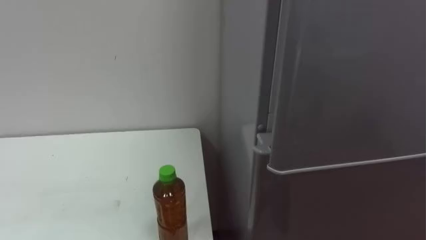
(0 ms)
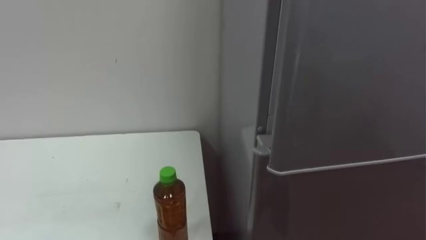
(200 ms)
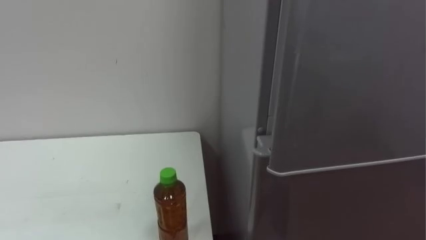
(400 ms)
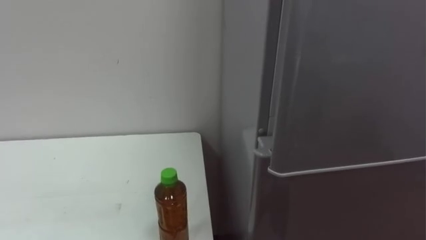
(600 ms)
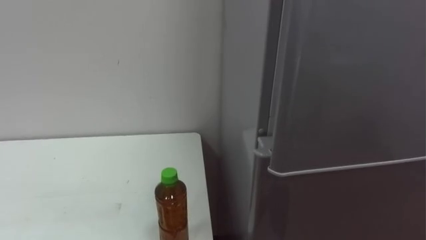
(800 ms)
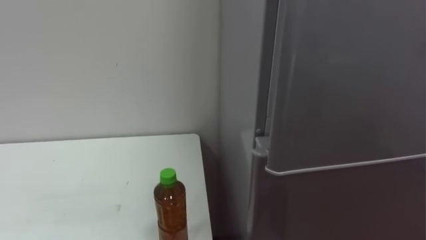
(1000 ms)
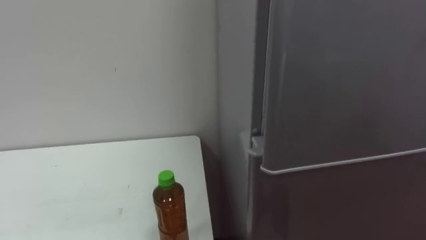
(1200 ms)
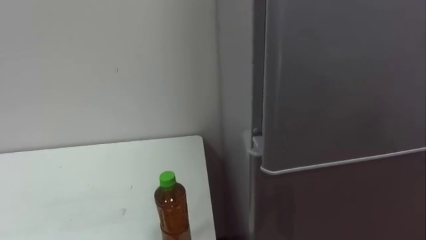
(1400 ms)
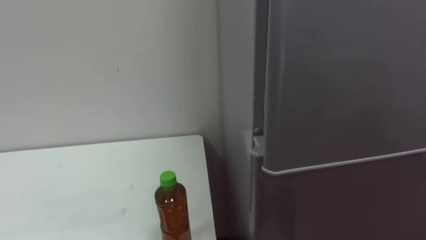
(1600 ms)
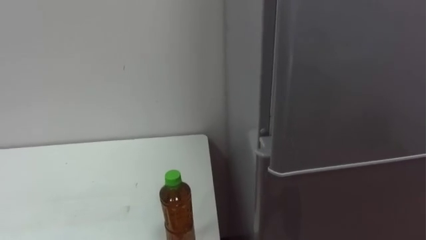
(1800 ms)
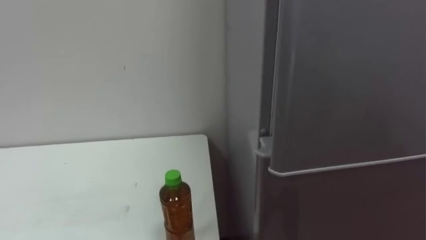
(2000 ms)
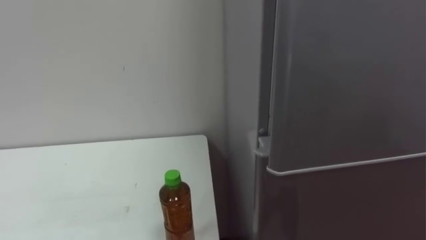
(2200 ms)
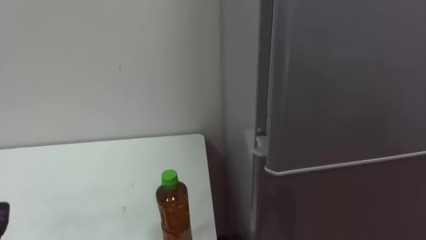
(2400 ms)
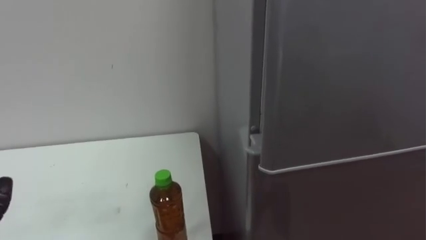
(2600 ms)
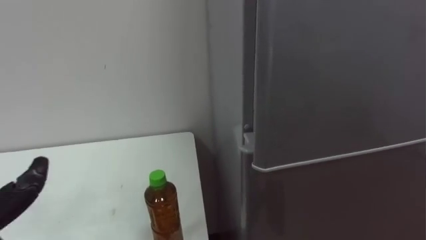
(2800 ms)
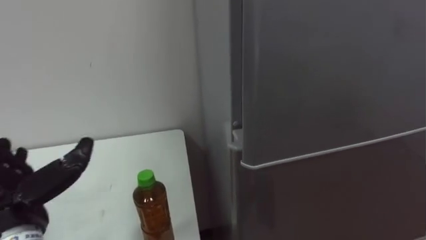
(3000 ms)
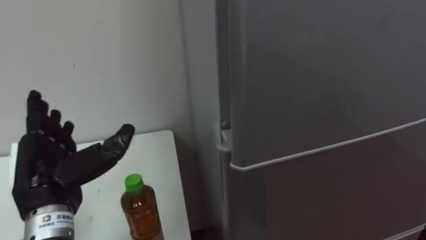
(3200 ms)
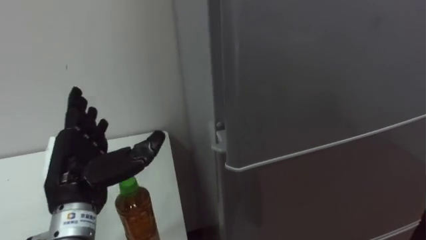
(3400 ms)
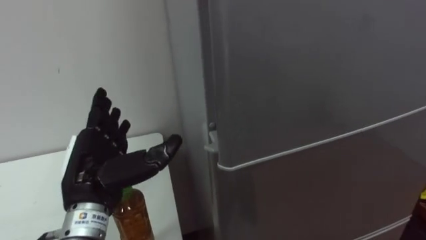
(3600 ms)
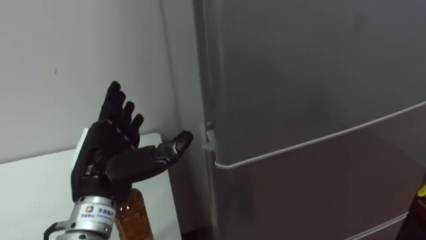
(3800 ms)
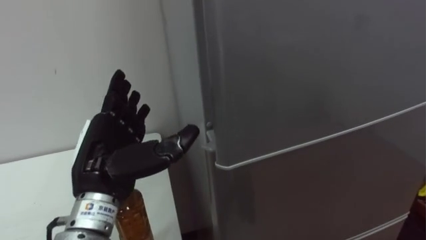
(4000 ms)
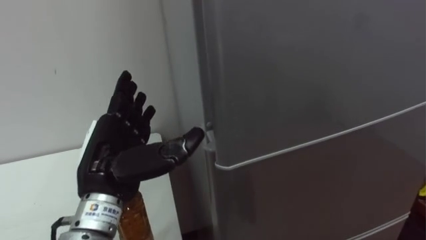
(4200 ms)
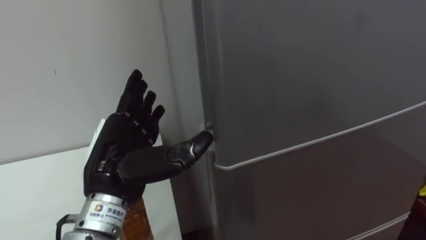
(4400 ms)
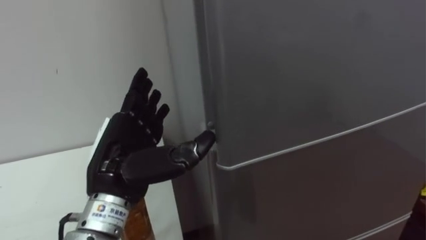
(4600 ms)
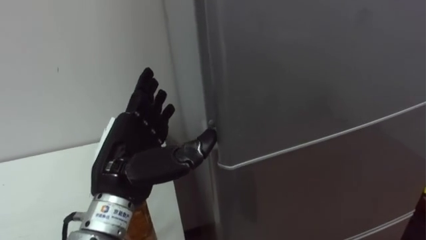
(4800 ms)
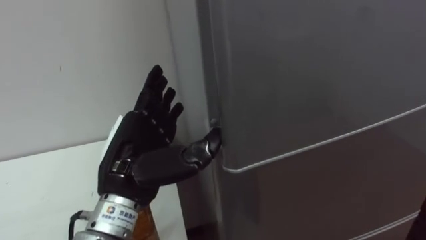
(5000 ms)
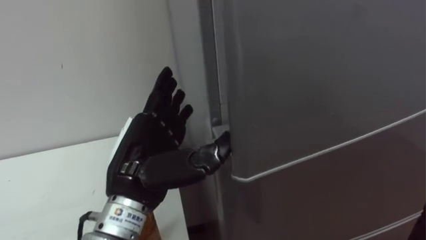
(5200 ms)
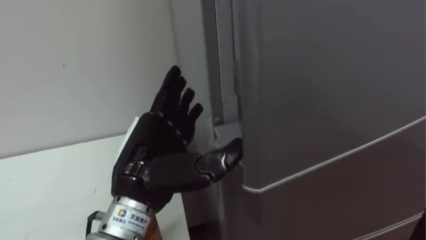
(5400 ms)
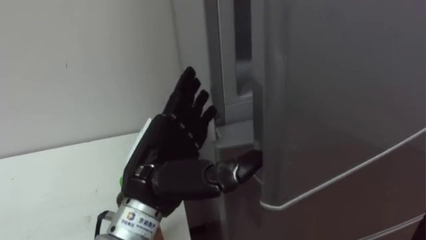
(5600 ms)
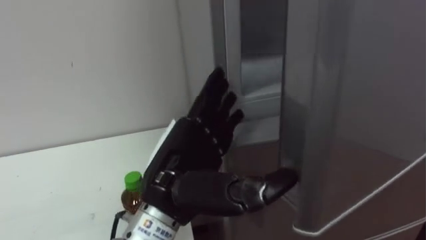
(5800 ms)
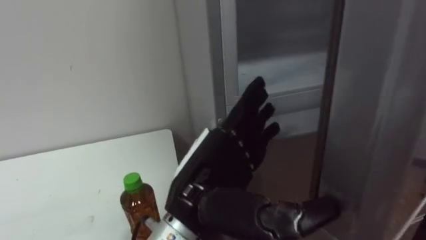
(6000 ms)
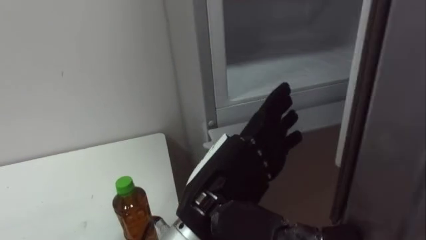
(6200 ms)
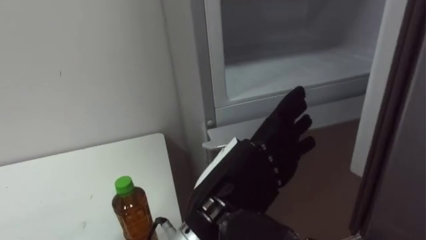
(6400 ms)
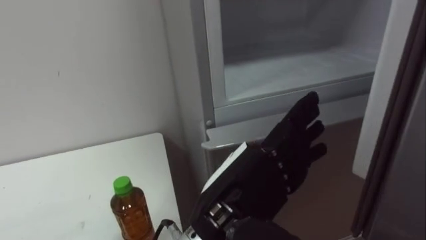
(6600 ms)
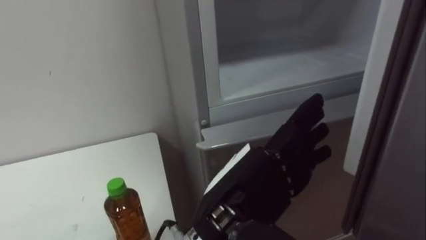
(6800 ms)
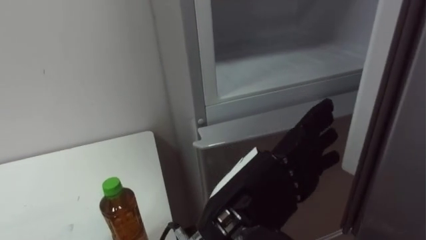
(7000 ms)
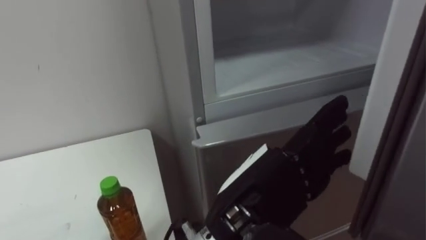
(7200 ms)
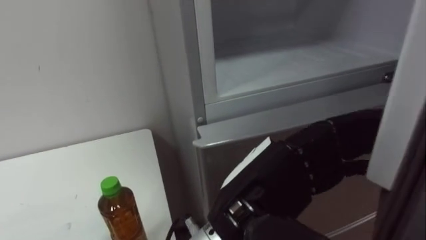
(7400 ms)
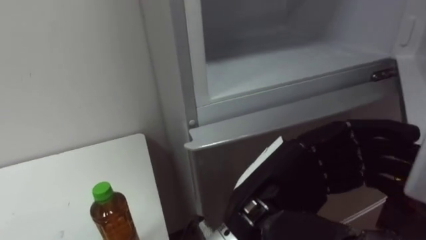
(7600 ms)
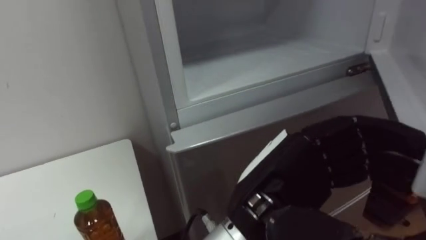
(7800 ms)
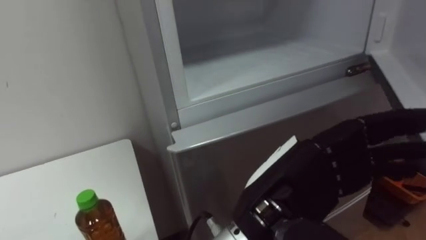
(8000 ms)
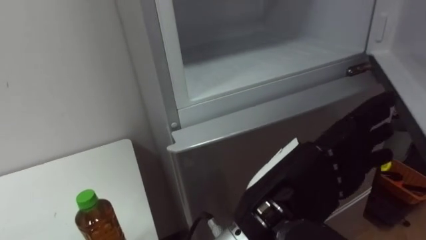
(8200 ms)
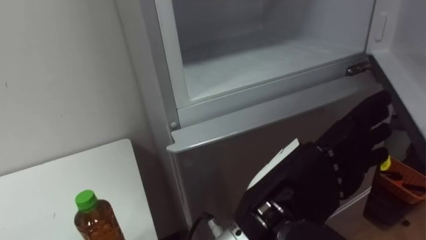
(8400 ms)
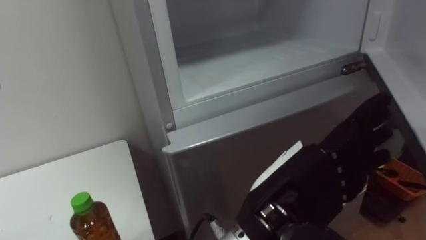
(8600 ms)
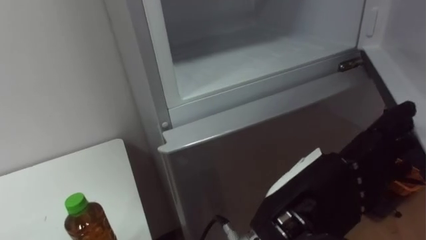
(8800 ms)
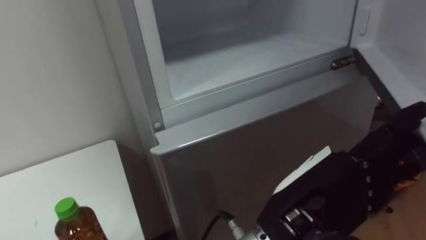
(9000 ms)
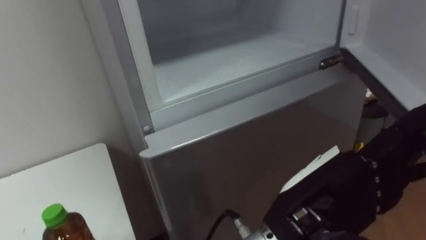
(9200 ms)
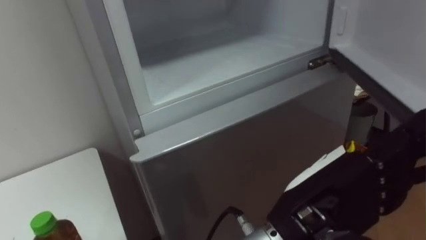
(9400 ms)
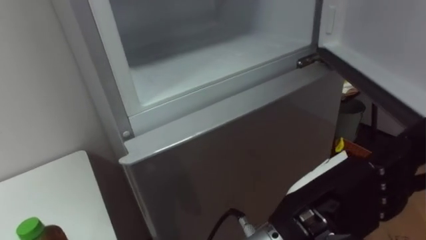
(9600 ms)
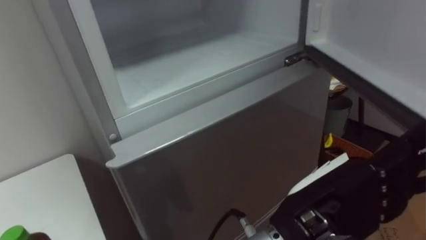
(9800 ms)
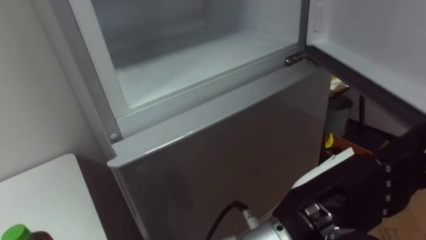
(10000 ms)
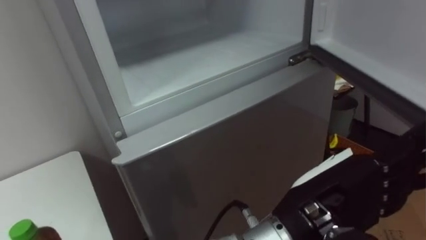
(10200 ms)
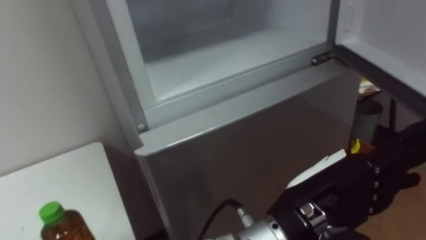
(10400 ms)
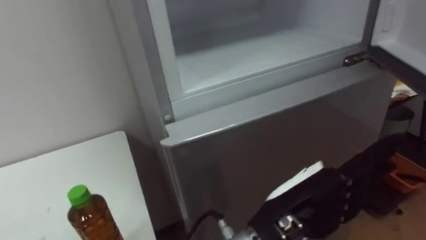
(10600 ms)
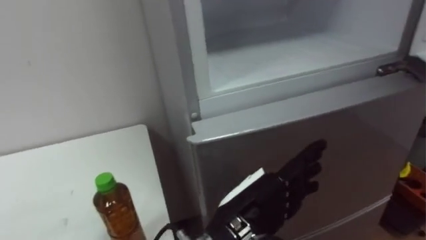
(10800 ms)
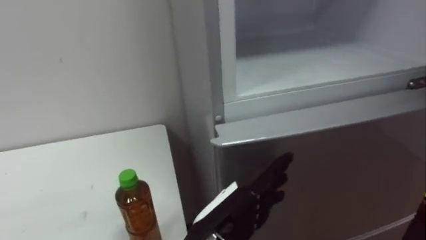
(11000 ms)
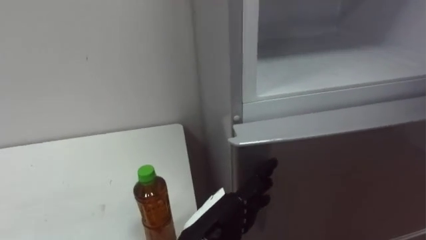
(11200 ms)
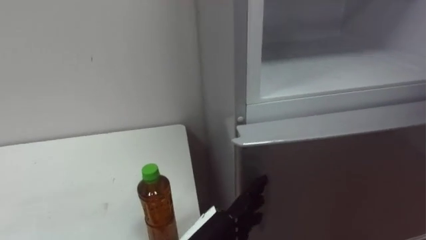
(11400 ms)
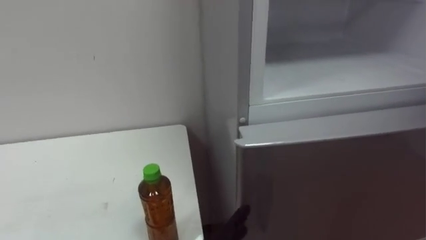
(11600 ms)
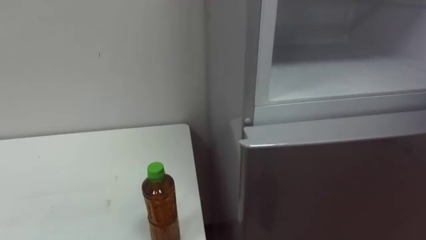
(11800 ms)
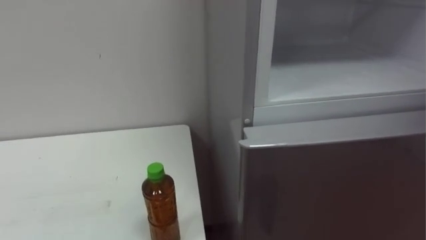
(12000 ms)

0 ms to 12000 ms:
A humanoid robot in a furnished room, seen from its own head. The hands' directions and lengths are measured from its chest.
Task of the whole recording: Open the upper refrigerator door, put the drink from the table into the refrigerator, and then close the refrigerator door.
3000 ms to 4400 ms: The left hand travels to the right by about 15 cm.
4400 ms to 6000 ms: The left hand goes approximately 10 cm to the right.
6000 ms to 7600 ms: The left hand travels to the right by approximately 5 cm, and closes.
7600 ms to 9000 ms: The left hand opens up.

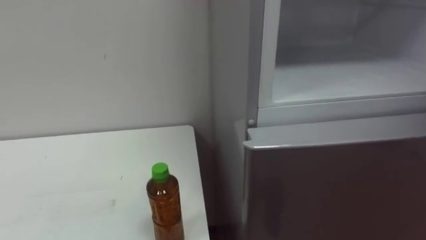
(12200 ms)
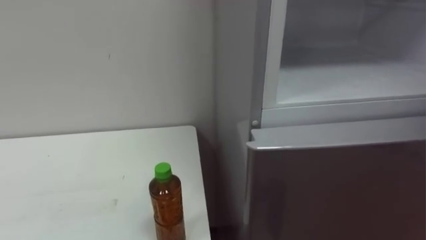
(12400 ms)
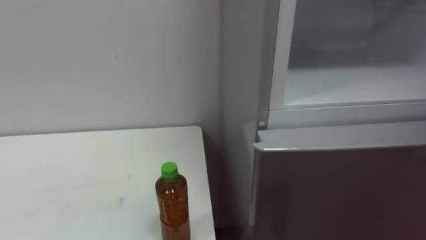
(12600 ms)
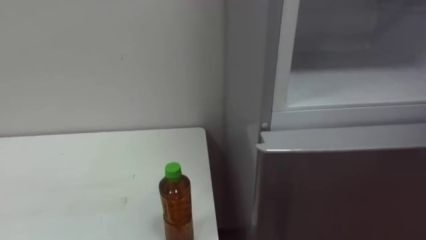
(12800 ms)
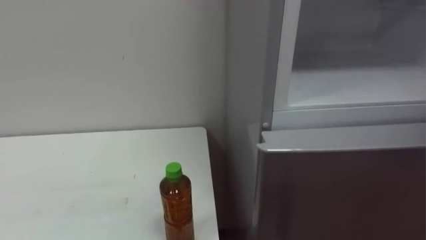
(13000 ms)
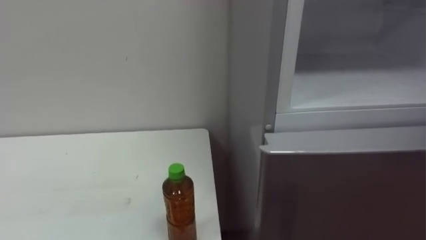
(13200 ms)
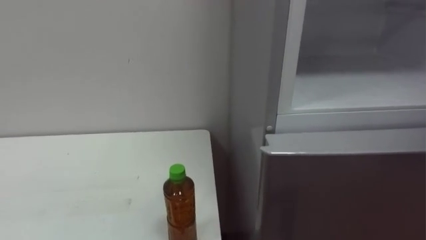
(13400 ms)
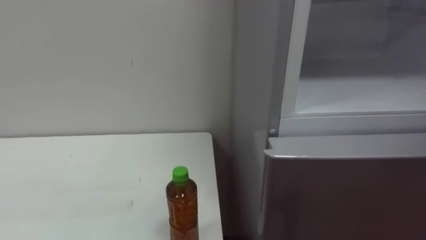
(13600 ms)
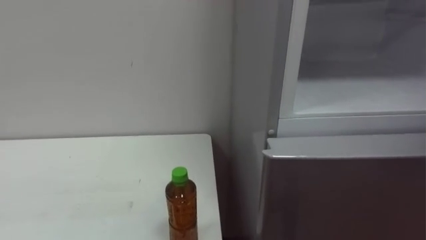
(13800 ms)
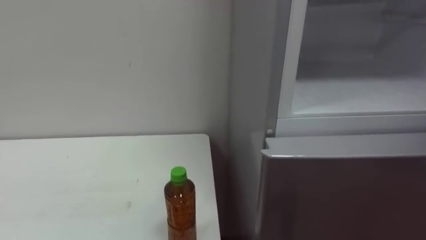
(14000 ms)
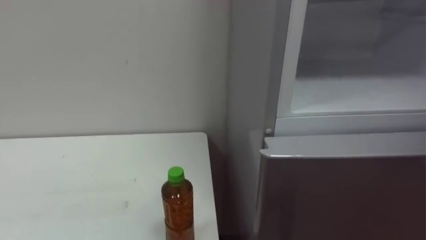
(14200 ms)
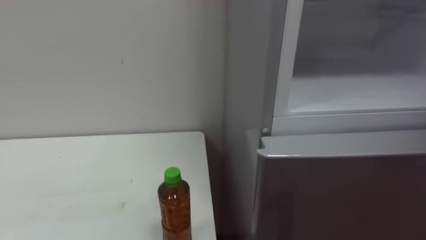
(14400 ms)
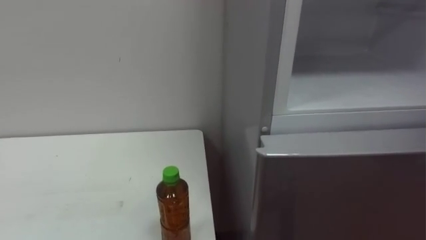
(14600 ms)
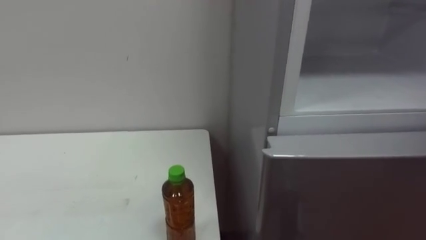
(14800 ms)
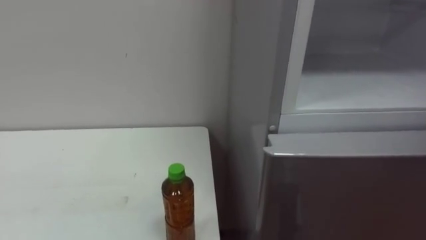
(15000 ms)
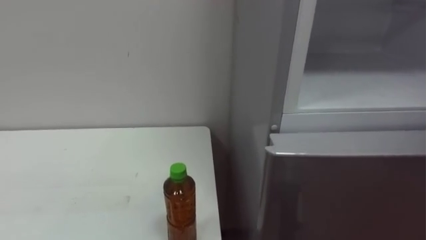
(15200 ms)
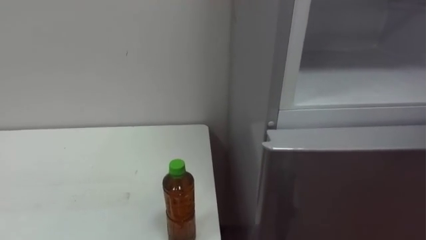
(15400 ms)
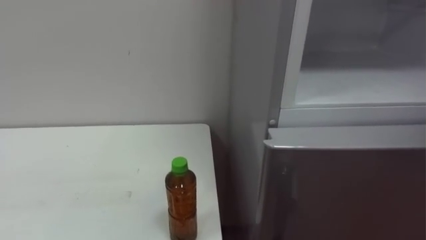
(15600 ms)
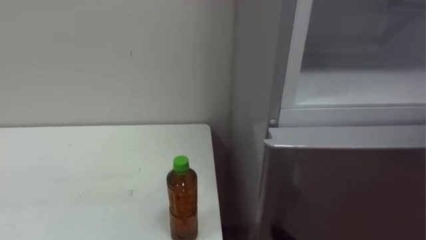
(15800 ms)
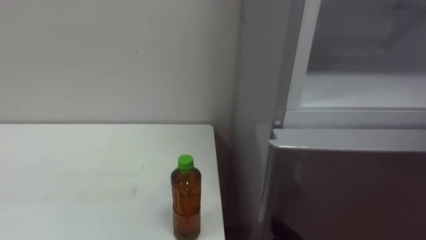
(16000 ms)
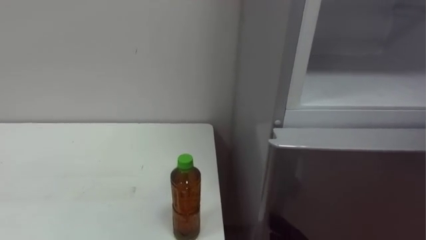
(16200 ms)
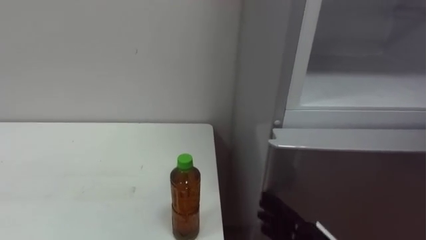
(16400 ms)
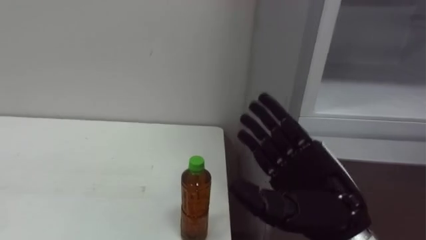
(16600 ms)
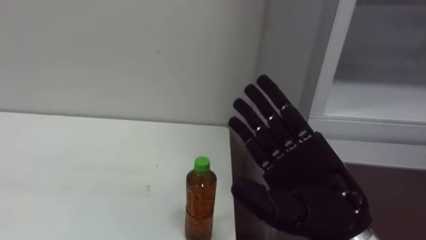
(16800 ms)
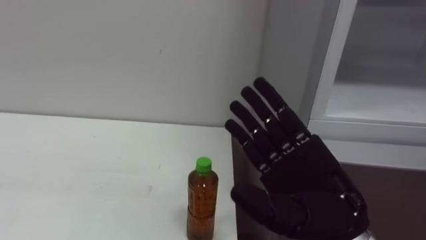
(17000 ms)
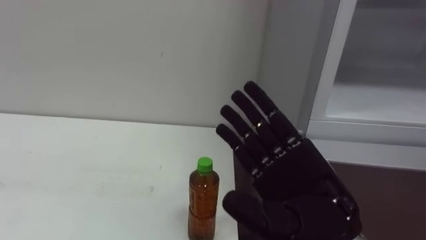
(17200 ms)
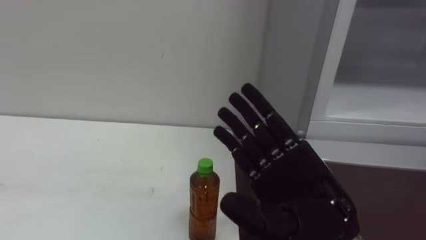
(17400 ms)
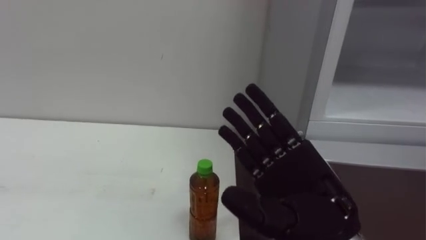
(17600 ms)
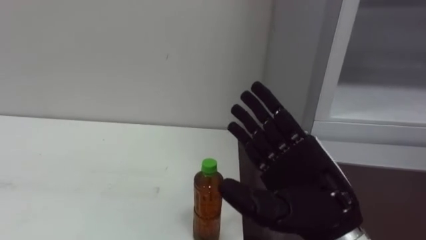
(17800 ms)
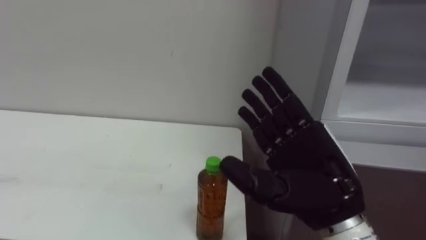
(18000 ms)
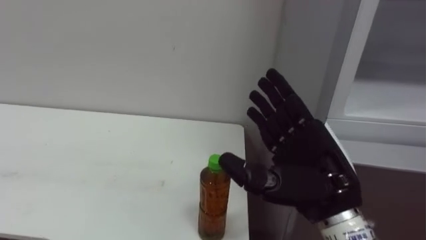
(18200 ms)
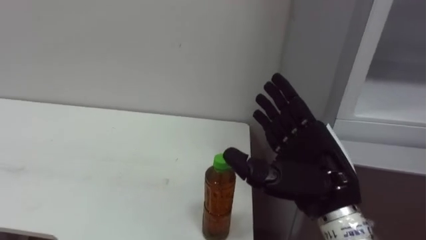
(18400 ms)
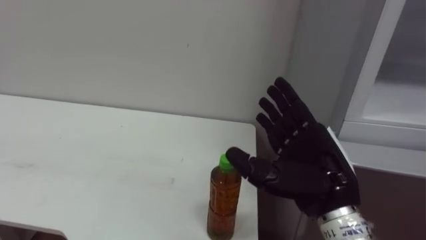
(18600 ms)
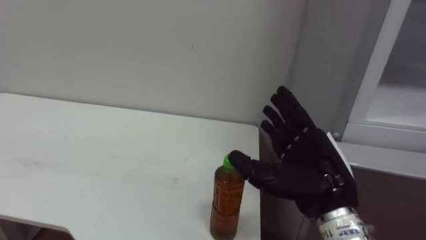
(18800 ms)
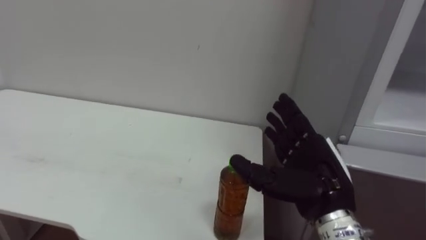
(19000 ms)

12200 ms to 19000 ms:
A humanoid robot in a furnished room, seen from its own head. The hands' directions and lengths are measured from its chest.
Task of the whole recording: Open the upper refrigerator door, put the drink from the table into the refrigerator, and then close the refrigerator door.
17600 ms to 19000 ms: The right hand shifts roughly 5 cm forward.
